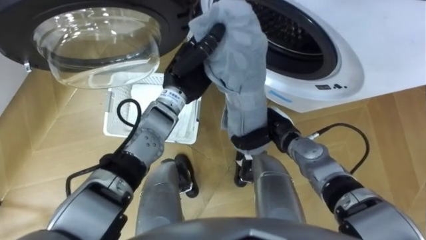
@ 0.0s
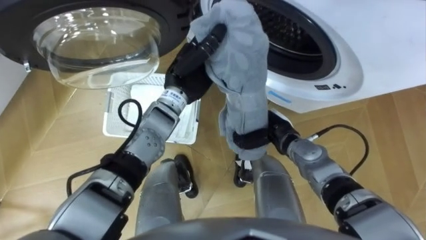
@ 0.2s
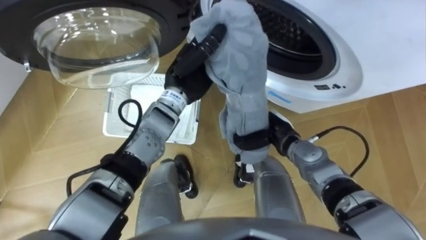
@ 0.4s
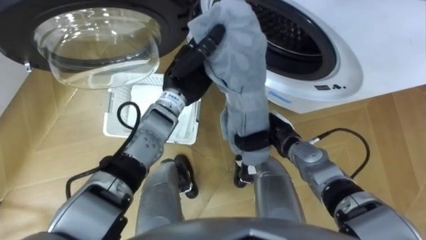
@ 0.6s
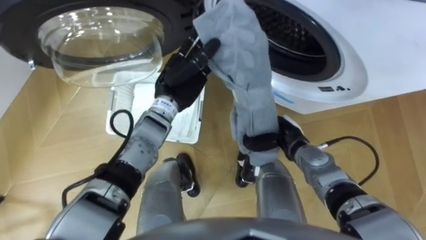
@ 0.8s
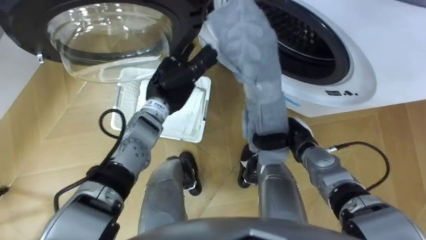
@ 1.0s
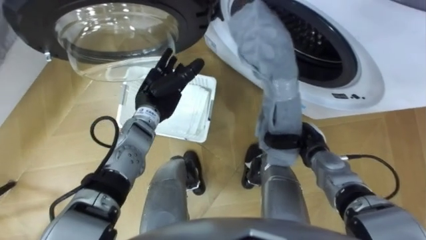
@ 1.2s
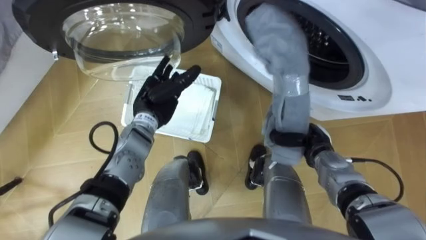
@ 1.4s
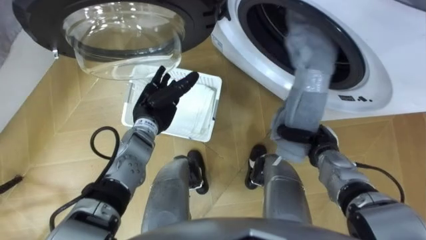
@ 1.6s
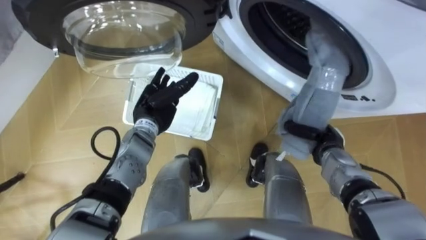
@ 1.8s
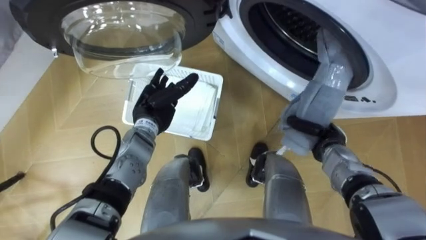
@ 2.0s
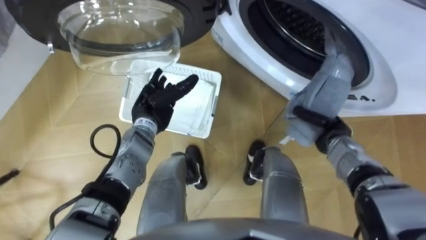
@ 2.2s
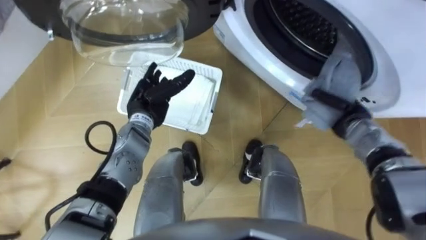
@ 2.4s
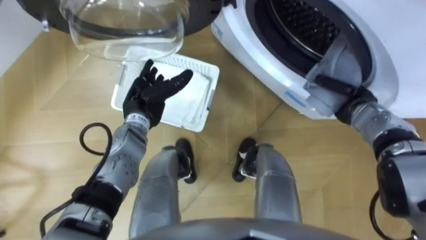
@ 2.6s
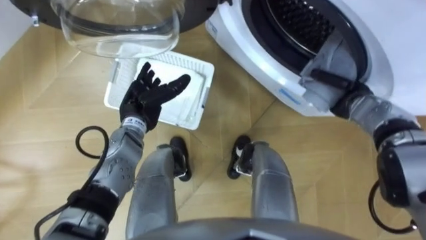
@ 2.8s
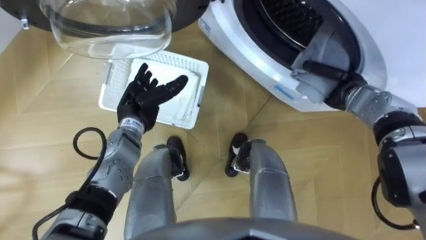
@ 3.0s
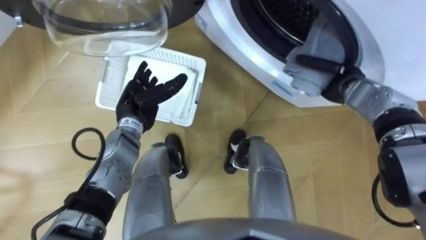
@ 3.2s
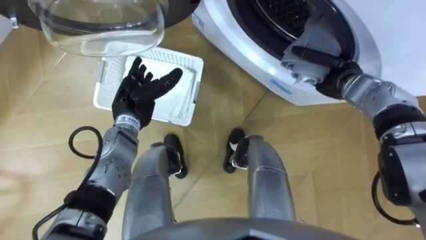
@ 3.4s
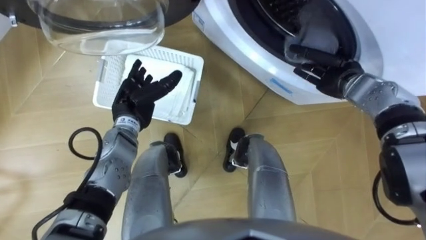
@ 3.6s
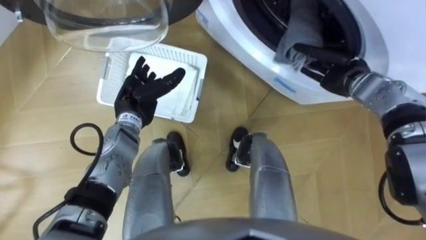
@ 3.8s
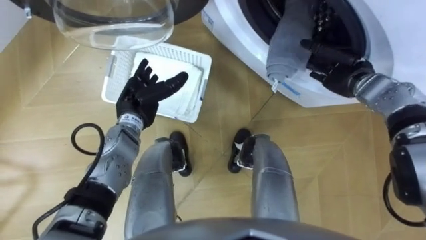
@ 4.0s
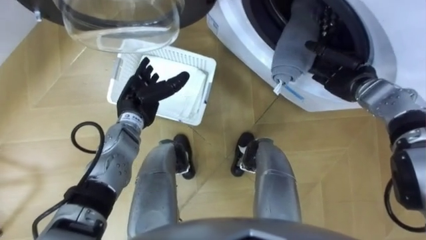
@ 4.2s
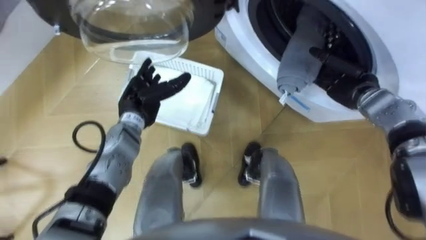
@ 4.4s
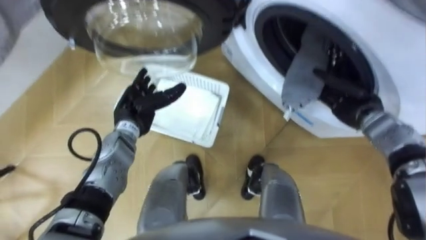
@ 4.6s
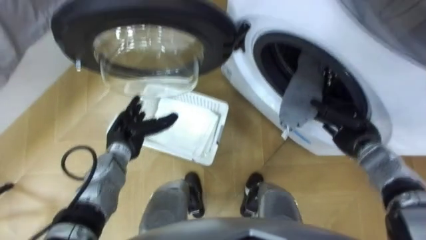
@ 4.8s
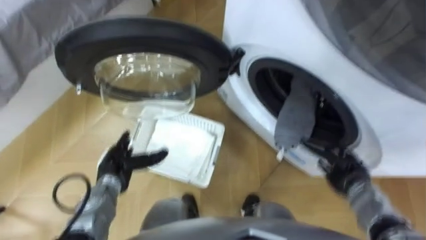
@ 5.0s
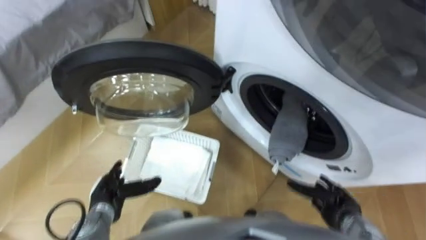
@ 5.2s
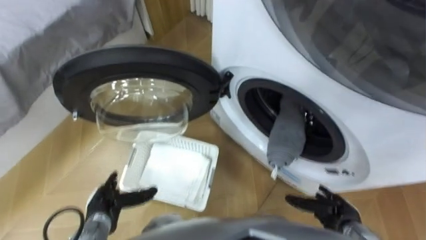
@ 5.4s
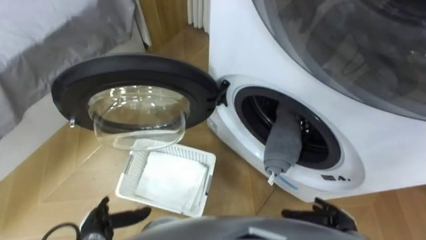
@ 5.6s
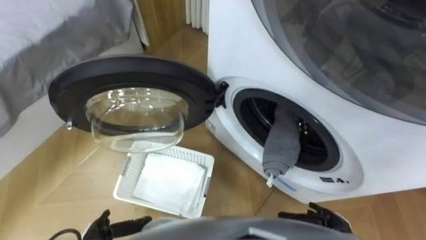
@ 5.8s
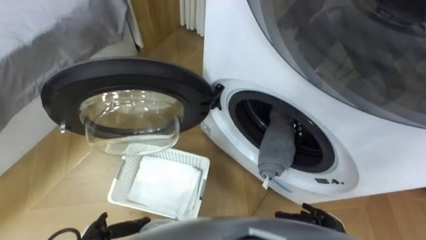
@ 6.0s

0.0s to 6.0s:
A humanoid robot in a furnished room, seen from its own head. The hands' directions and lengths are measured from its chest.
Task of the whole recording: Take the towel from the basket and put it into the washing machine.
0.0s to 1.6s: The right hand shifts approximately 10 cm to the right. Meanwhile the left hand heads downward and to the left, covering some 10 cm, and opens its fingers.
1.6s to 3.0s: The right hand moves forward and upward, about 15 cm.
3.0s to 4.4s: The right hand opens.
4.4s to 6.0s: The right hand goes approximately 35 cm backward and downward.

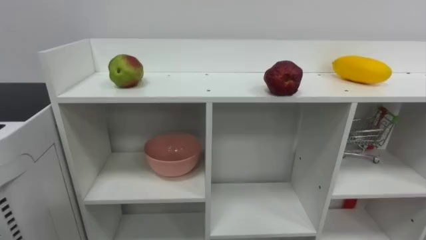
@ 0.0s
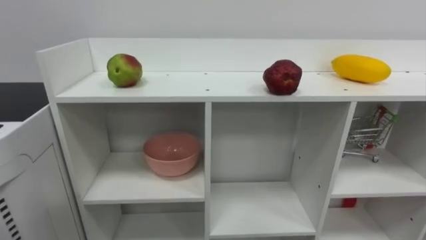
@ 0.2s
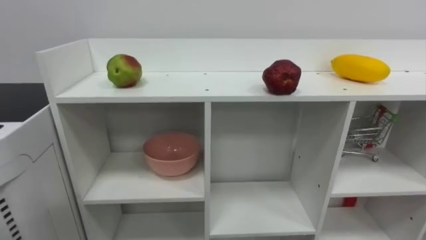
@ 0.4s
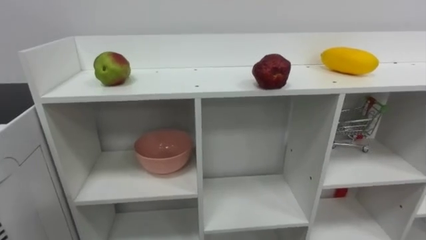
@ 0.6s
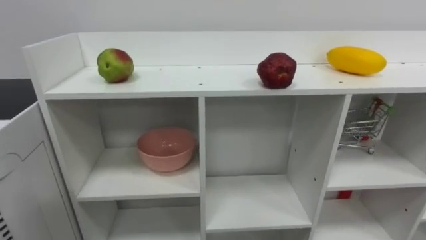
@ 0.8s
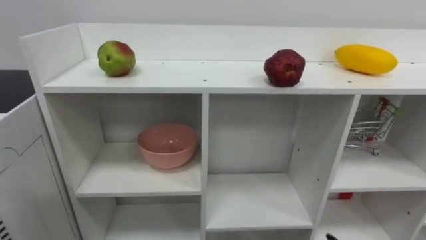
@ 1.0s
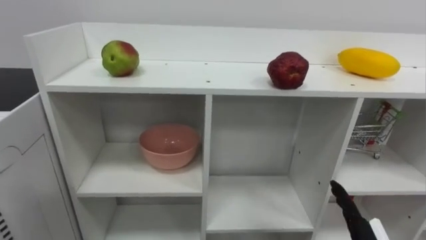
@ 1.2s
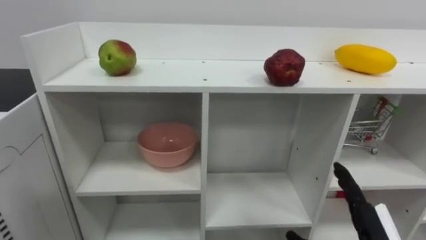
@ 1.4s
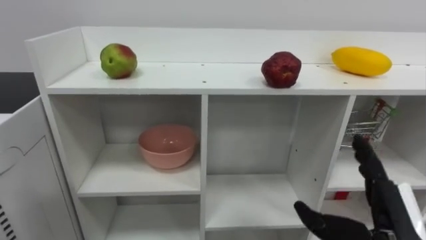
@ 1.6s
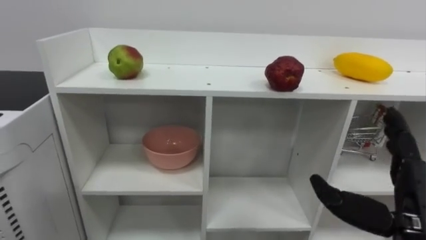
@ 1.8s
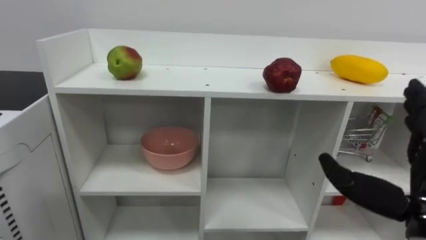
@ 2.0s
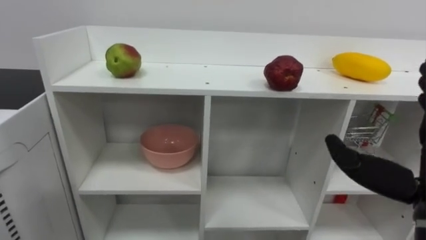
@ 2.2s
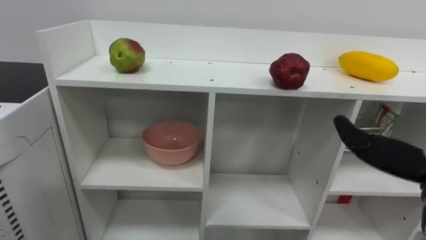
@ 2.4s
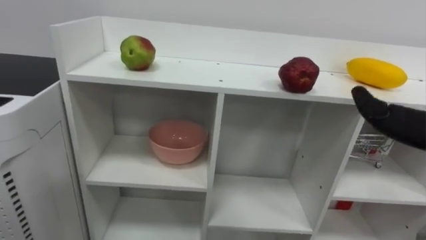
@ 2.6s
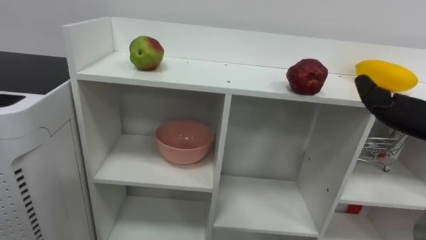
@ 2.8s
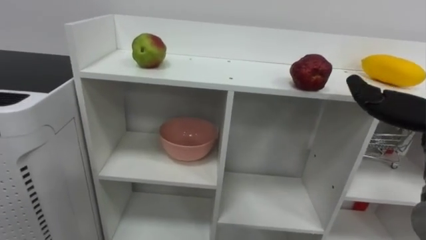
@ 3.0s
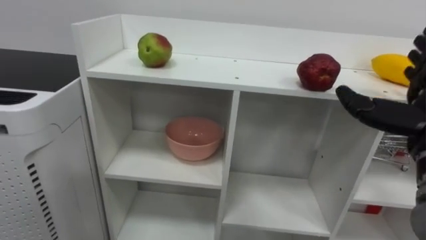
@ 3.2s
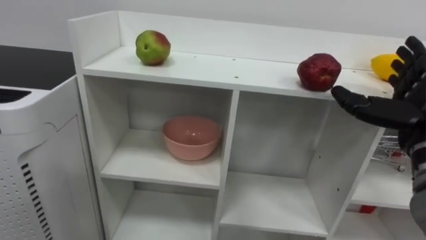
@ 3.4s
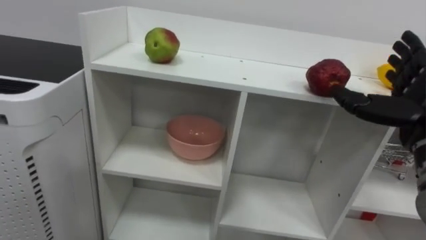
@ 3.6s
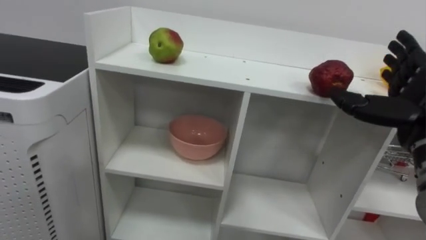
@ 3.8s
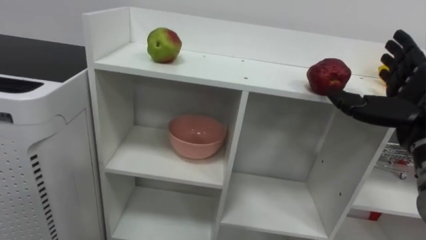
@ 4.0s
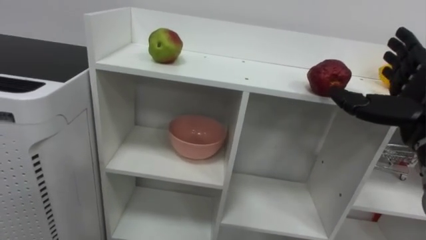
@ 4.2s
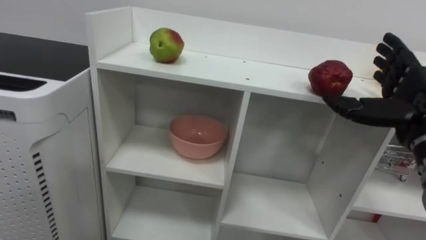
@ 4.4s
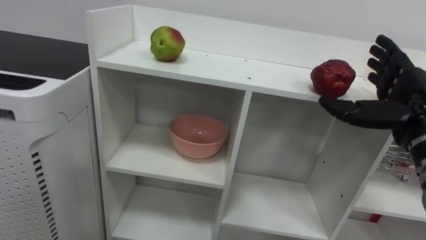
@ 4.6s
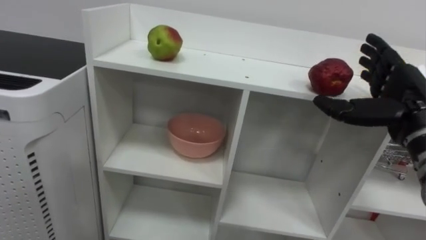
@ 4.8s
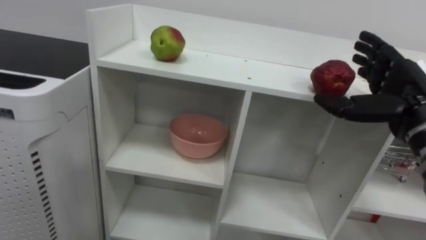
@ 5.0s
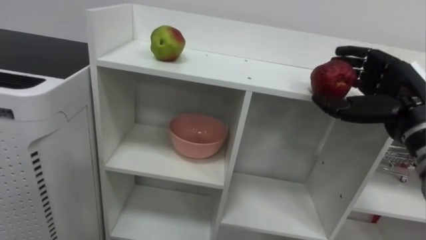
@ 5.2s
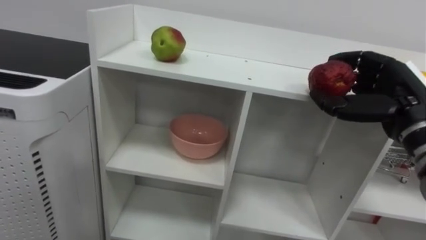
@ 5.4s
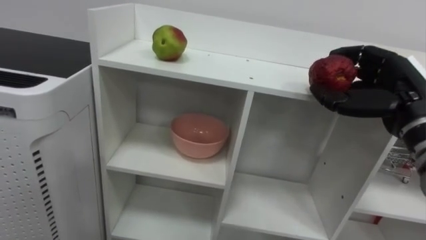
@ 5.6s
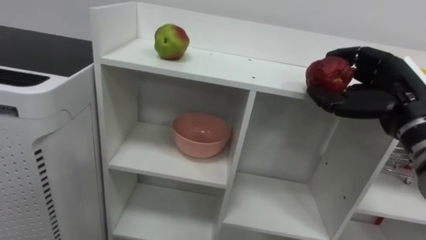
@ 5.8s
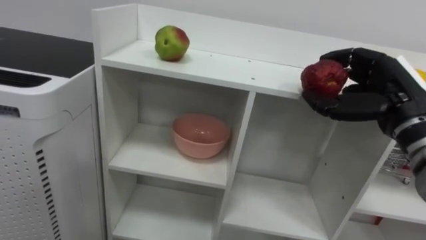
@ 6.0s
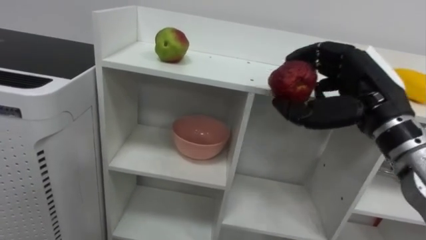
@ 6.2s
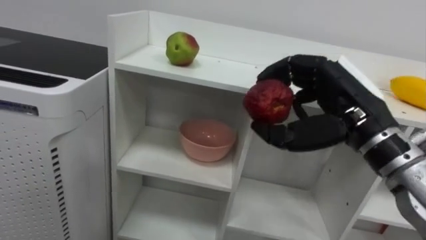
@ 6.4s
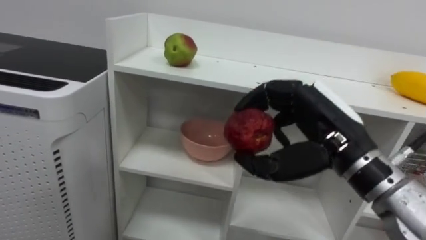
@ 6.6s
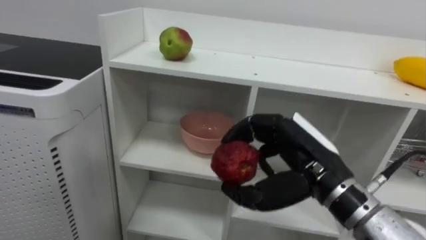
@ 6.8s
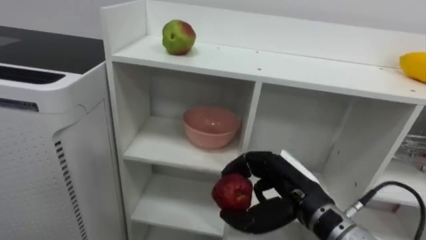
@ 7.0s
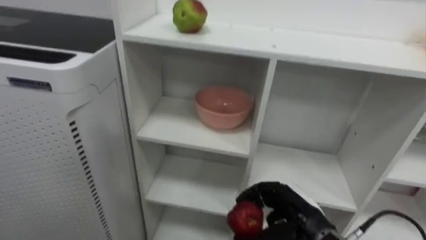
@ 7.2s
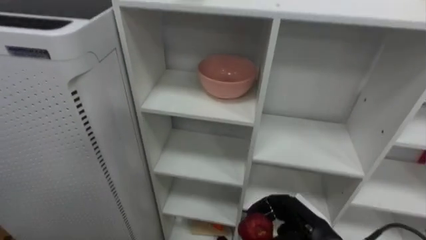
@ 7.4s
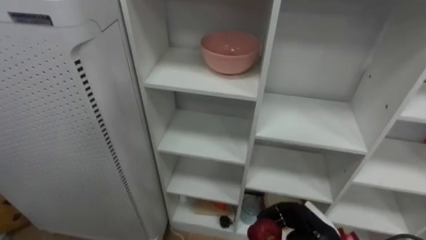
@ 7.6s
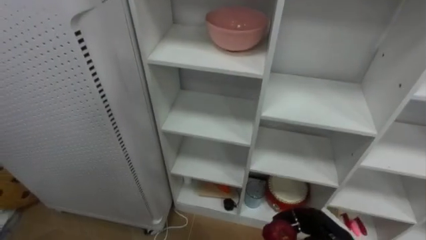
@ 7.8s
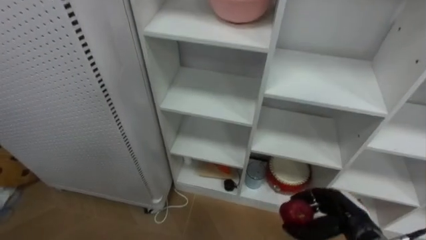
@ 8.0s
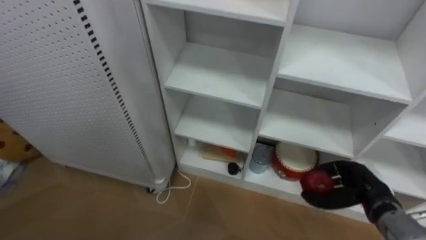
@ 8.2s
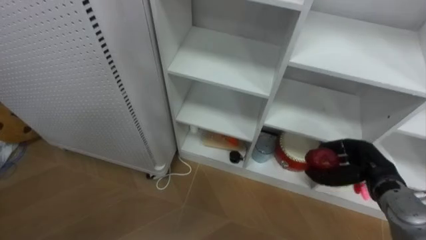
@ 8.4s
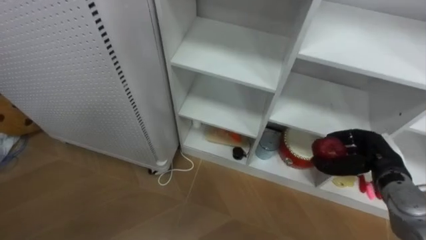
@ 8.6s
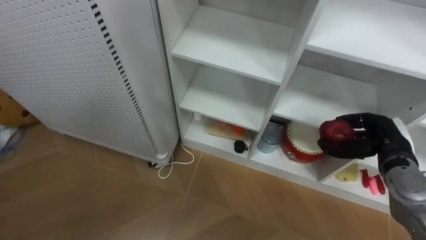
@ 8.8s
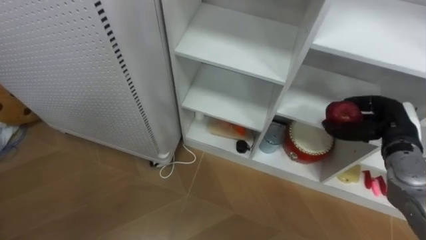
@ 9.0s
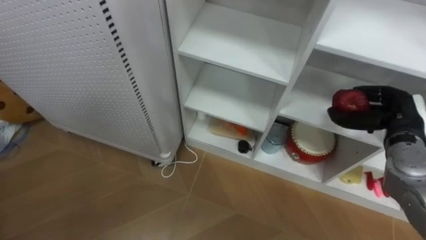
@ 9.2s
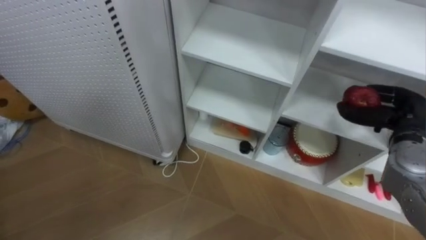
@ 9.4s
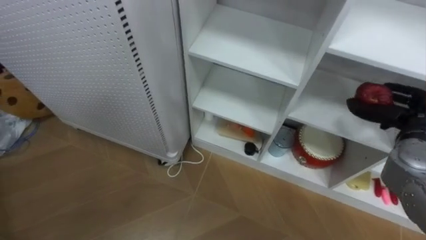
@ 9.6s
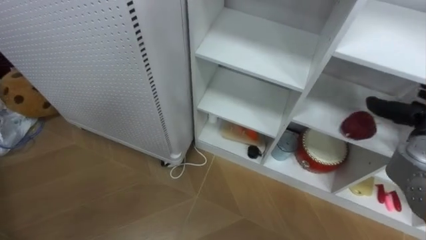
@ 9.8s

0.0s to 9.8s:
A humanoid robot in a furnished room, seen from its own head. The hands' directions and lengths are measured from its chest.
Task of the whole recording: Put the apple in the cell in the second column from the left and the second row from the top.
4.2s to 5.6s: The right hand closes.
5.6s to 7.0s: The right hand travels to the left and downward by some 20 cm.
7.0s to 8.4s: The right hand moves to the right and forward, about 20 cm.
8.4s to 9.8s: The right hand moves upward and to the right, some 10 cm.

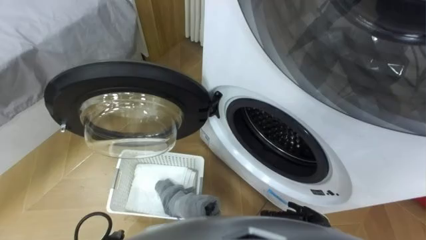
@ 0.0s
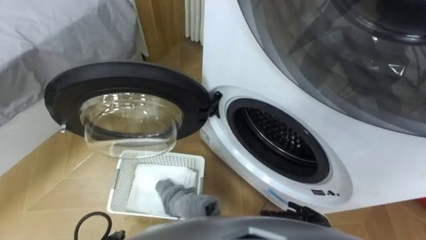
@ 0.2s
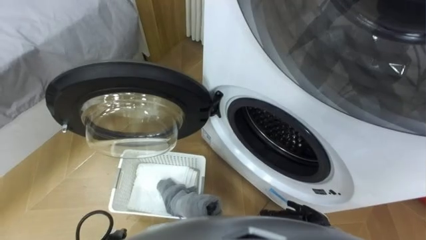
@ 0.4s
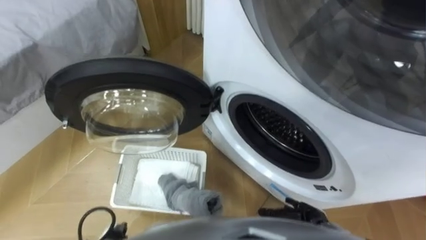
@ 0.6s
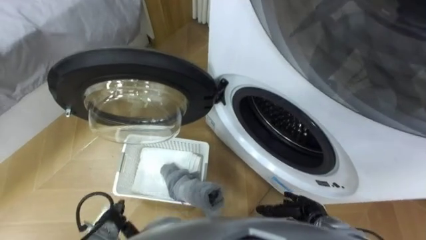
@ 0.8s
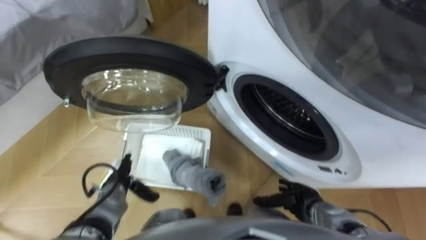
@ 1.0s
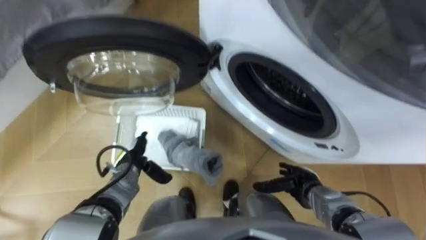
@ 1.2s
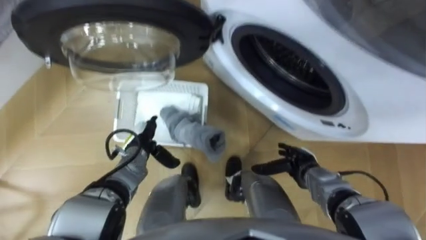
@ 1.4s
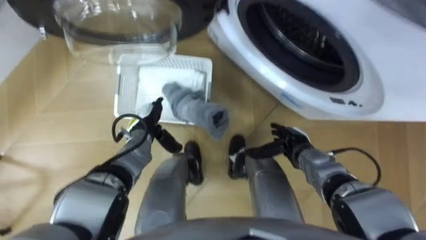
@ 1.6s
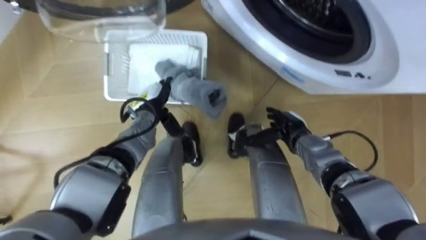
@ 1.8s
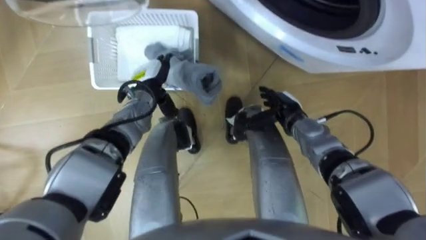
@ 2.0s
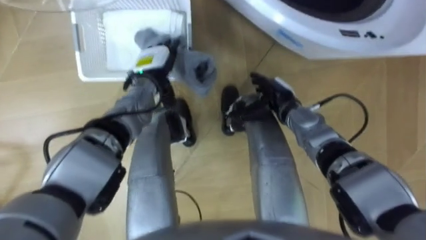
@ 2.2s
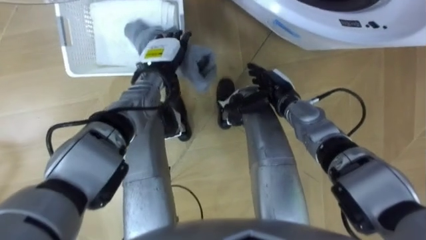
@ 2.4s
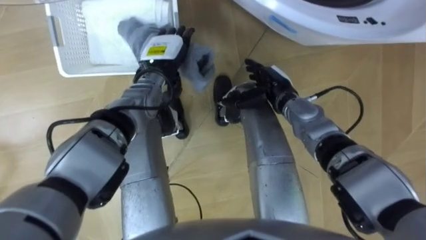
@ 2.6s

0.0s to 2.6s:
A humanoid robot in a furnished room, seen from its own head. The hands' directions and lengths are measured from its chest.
Task of the whole recording: Take the towel from the basket and put it into the washing machine.
1.2s to 2.6s: The left hand heads forward, upward and to the right, covering approximately 25 cm. The right hand is displaced forward, upward and to the left by about 25 cm.
